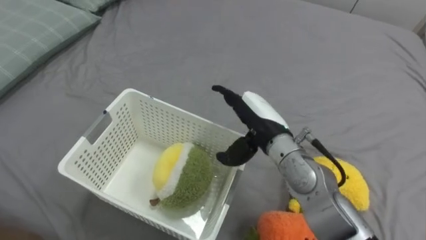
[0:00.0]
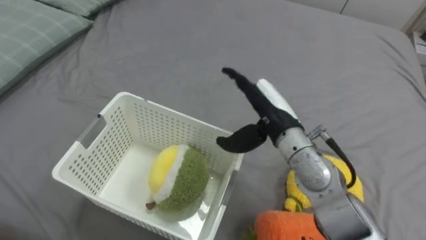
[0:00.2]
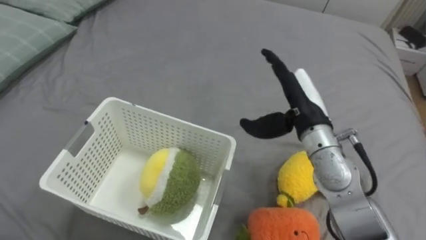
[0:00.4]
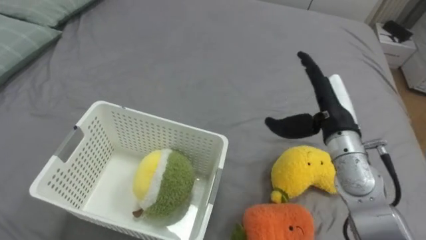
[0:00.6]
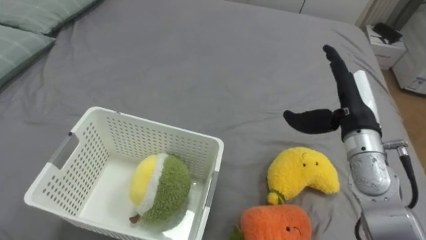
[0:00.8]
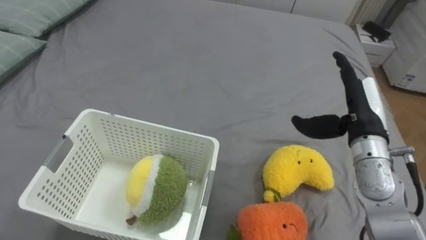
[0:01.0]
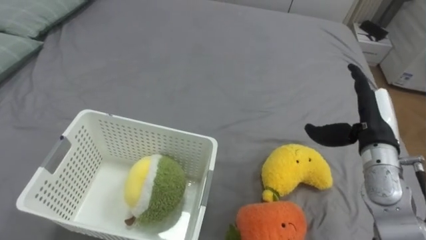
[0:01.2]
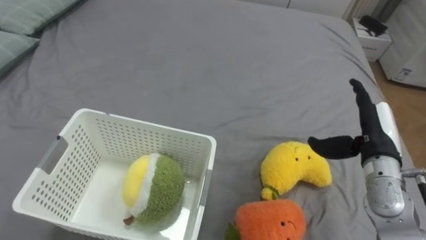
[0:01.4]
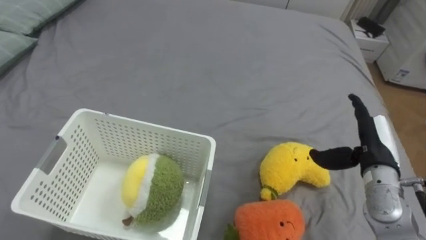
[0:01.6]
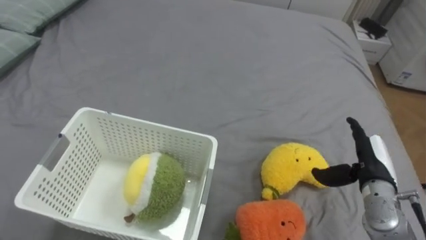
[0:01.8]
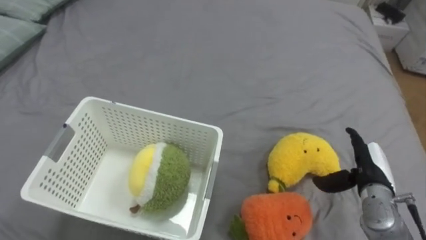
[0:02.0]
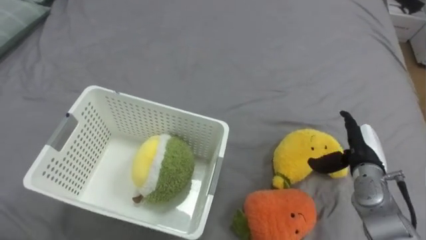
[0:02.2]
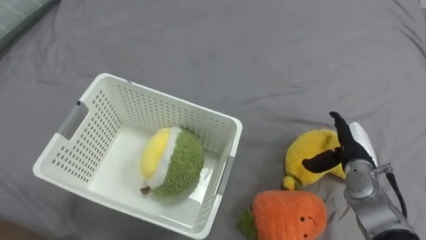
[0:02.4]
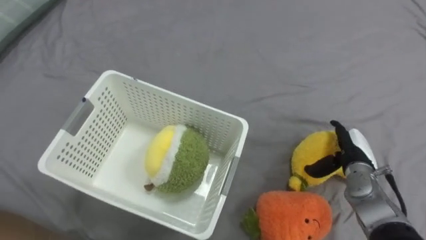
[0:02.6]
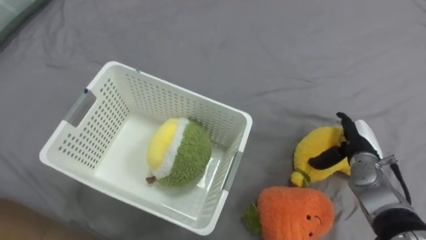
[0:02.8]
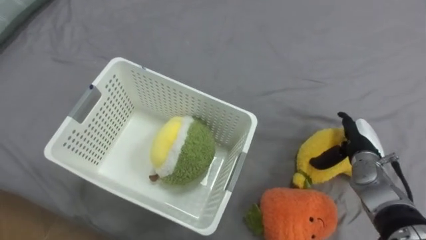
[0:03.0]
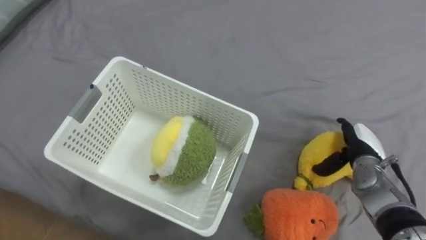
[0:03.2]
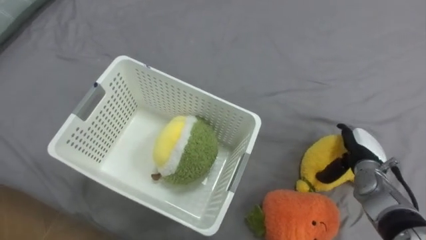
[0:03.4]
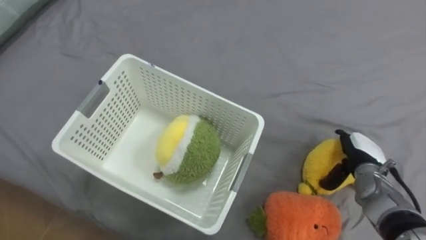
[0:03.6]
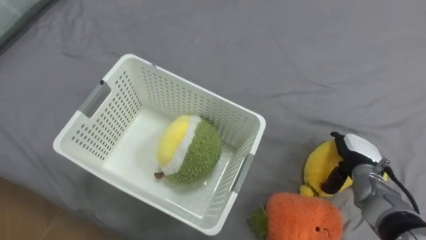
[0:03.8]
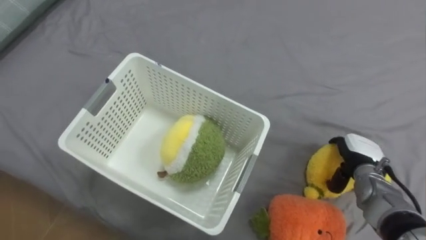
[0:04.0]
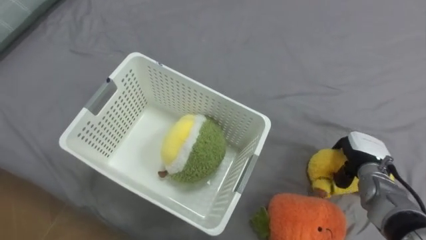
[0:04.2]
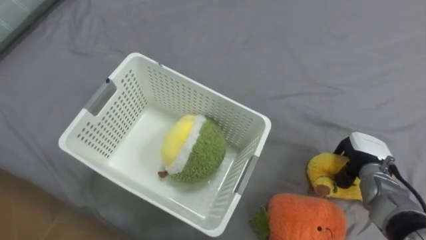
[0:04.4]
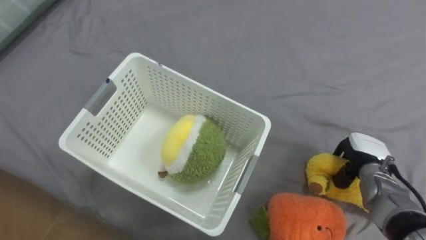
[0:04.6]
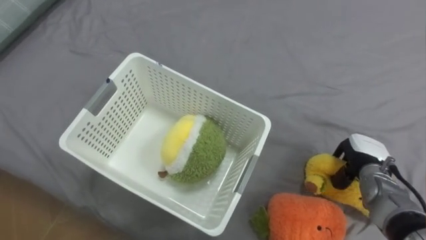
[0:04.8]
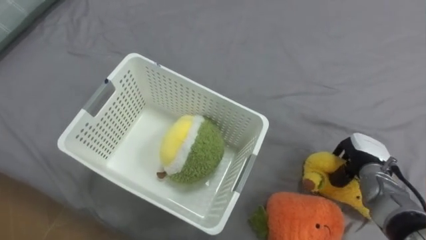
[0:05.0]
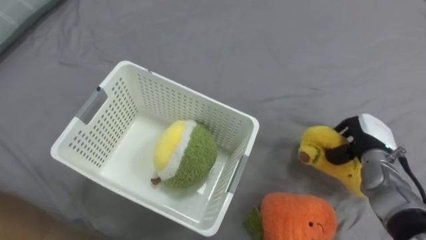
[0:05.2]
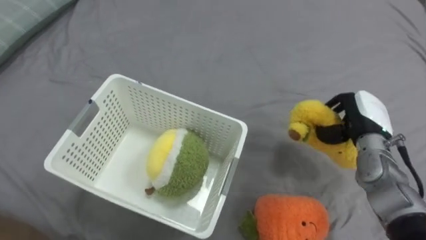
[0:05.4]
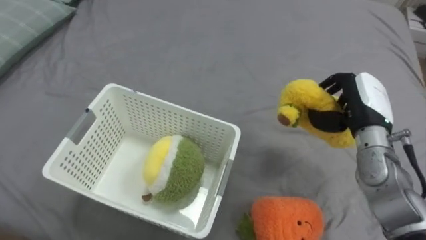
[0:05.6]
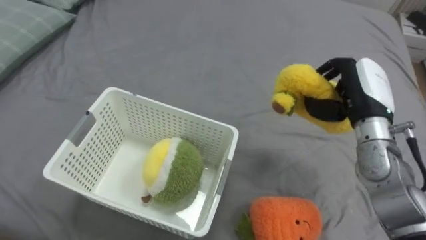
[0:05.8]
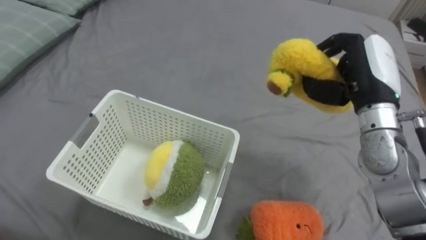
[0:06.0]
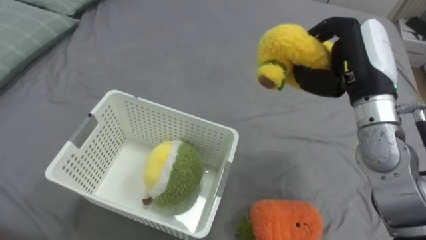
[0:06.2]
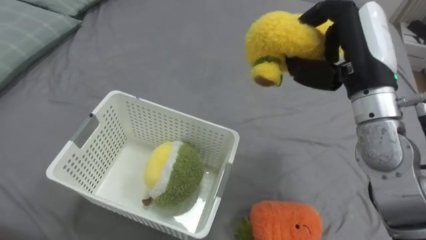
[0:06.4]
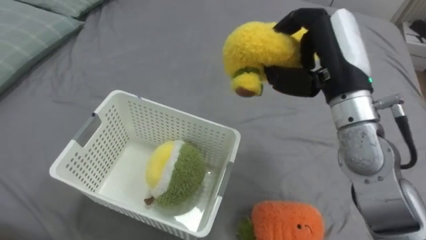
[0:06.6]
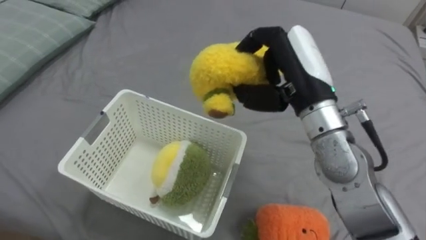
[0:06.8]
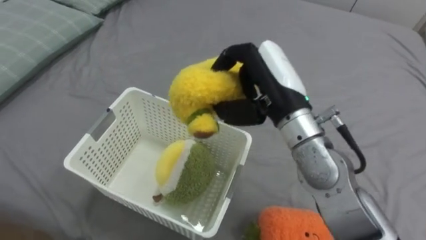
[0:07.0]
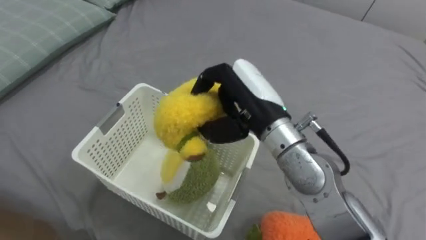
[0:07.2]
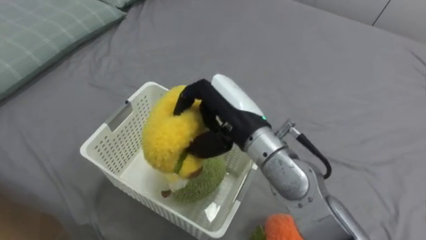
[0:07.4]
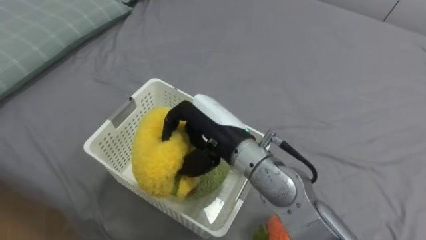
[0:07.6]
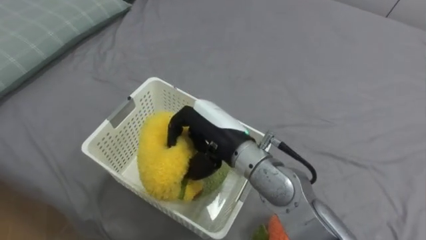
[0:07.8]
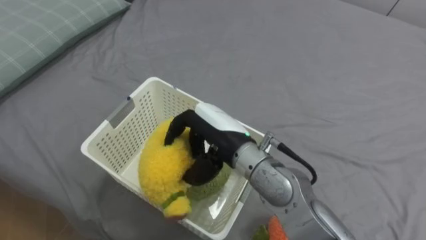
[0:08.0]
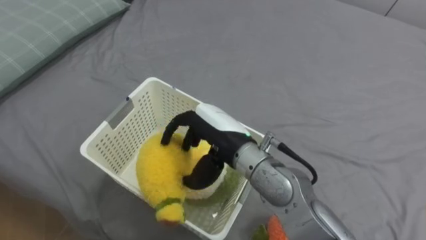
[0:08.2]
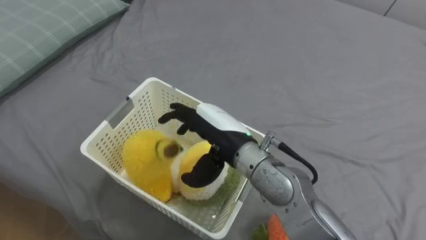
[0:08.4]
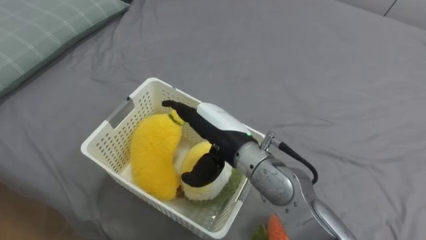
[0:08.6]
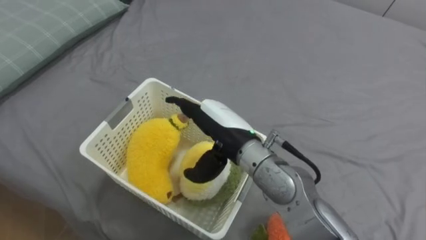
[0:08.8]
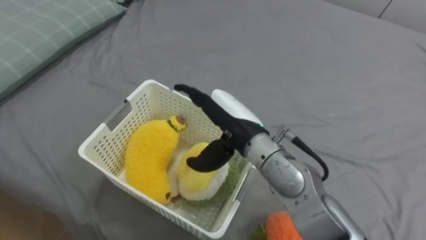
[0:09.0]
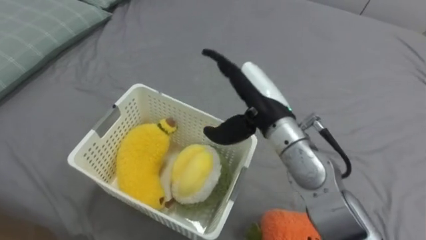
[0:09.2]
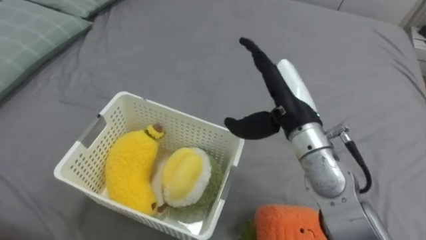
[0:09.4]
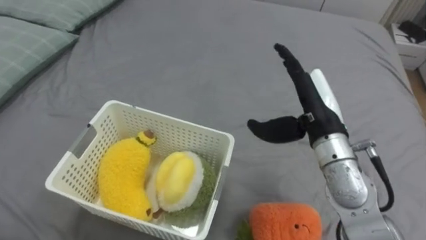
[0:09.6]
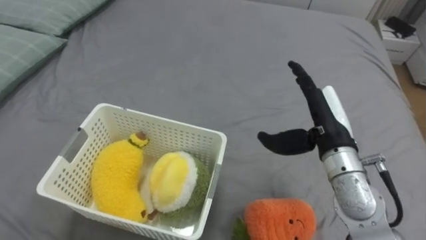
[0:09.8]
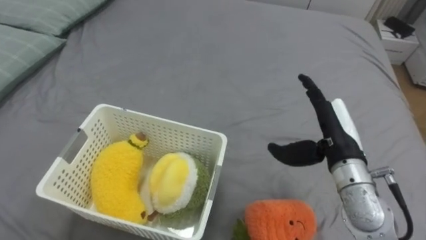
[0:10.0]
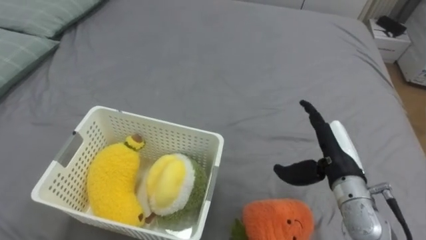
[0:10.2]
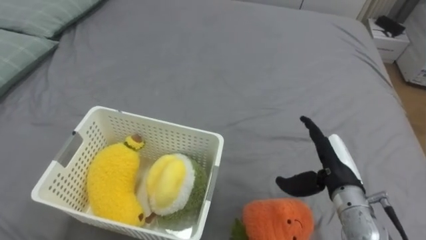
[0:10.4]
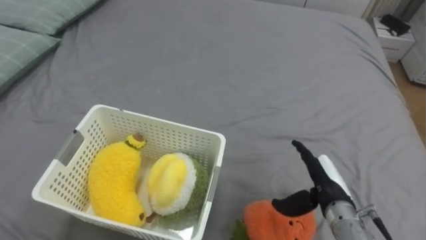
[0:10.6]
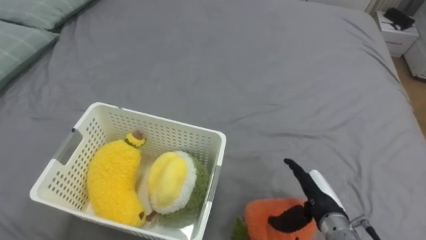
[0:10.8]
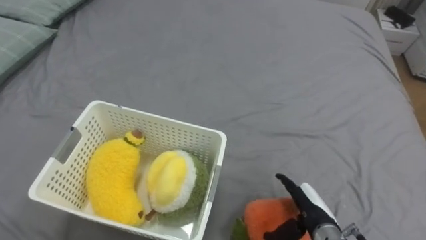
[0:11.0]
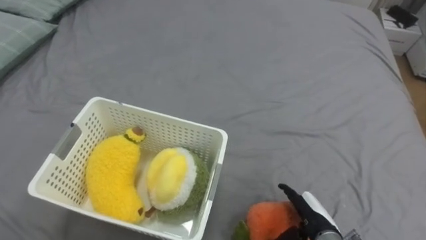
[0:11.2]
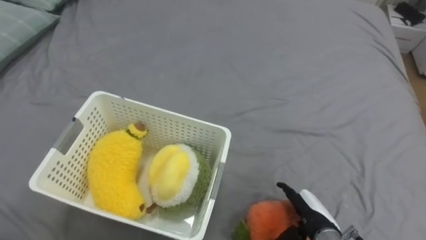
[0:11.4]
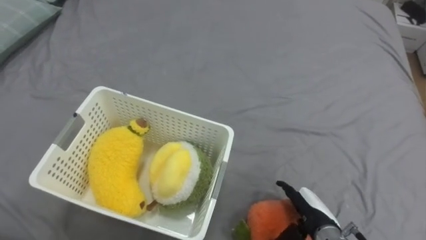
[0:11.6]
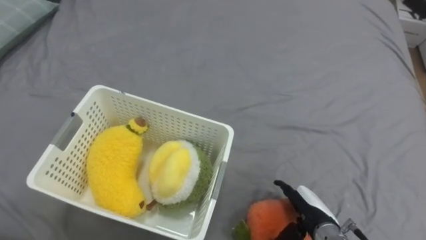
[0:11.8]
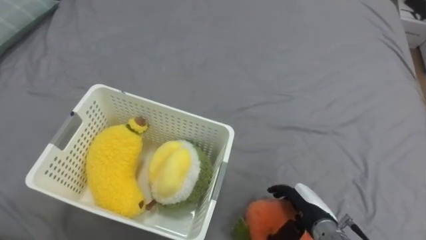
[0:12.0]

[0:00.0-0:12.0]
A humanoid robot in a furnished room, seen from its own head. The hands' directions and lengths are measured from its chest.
Task of the whole recording: Put the toys on the bed into the basket on the left.
0:00.0 to 0:01.6: The right hand is displaced to the right by some 20 cm.
0:01.6 to 0:03.0: The right hand travels downward and forward by roughly 10 cm.
0:03.0 to 0:04.4: The right hand closes its fingers.
0:04.4 to 0:06.0: The right hand goes approximately 20 cm upward.
0:06.0 to 0:07.6: The right hand moves to the left, some 25 cm.
0:07.6 to 0:09.0: The right hand opens its fingers.
0:09.0 to 0:10.4: The right hand moves to the right and downward, about 20 cm.
0:10.4 to 0:12.0: The right hand is displaced downward by approximately 10 cm.

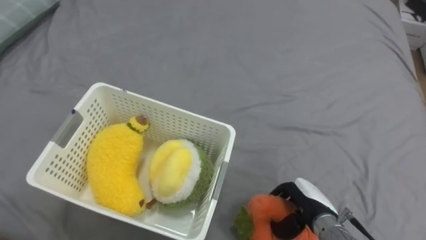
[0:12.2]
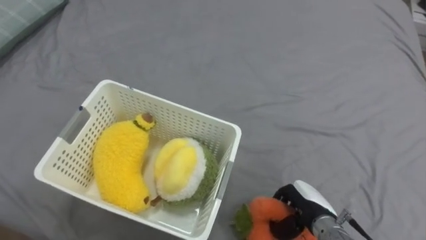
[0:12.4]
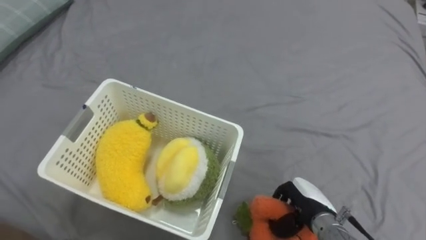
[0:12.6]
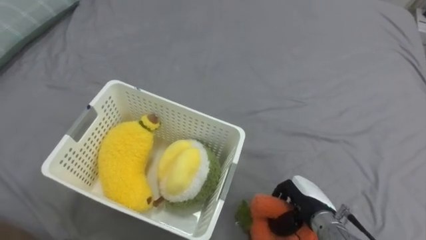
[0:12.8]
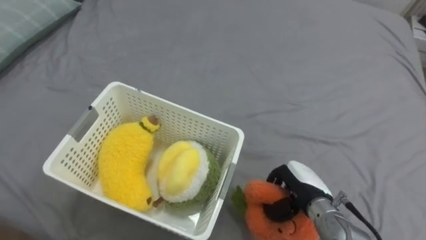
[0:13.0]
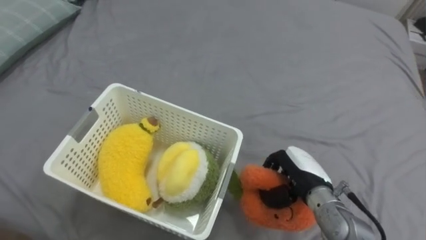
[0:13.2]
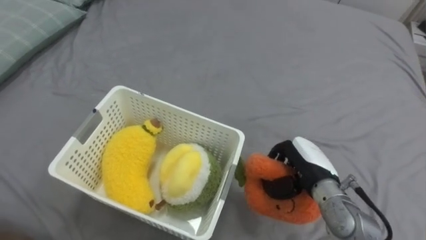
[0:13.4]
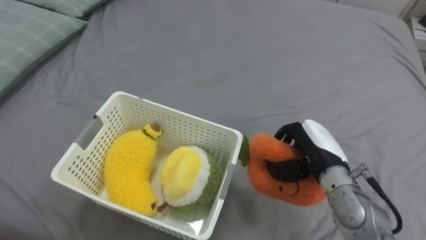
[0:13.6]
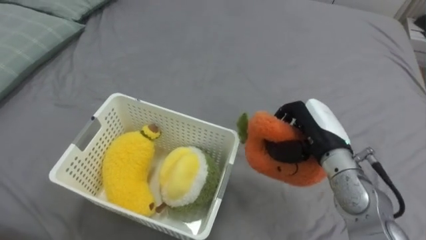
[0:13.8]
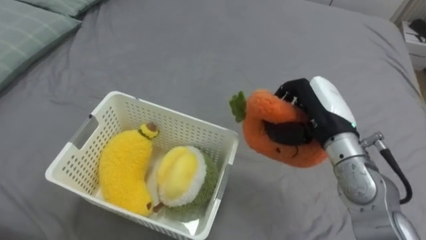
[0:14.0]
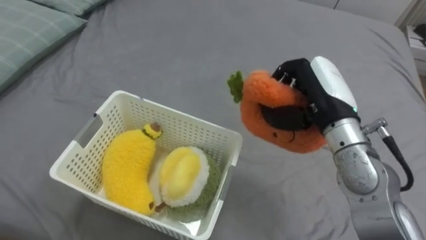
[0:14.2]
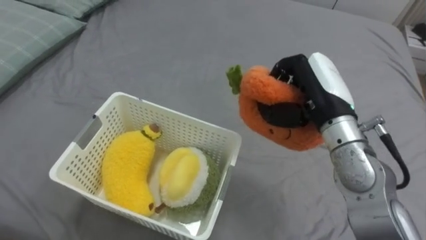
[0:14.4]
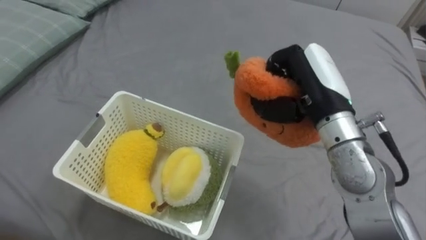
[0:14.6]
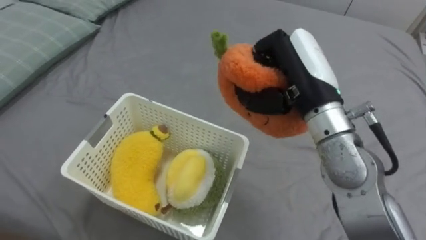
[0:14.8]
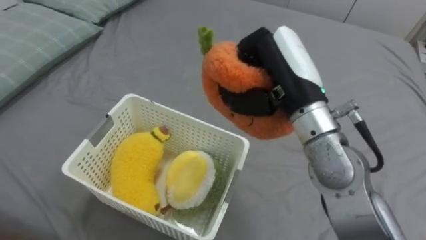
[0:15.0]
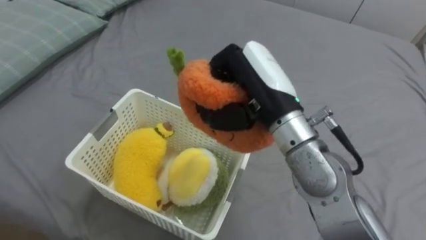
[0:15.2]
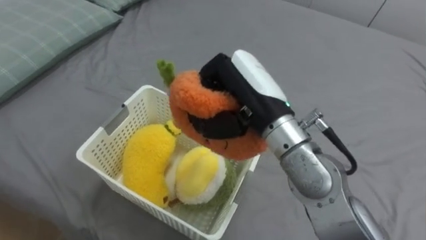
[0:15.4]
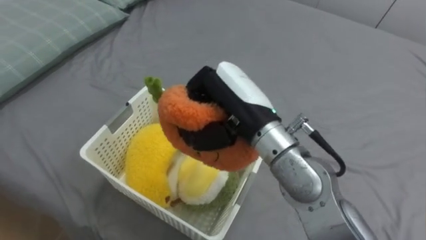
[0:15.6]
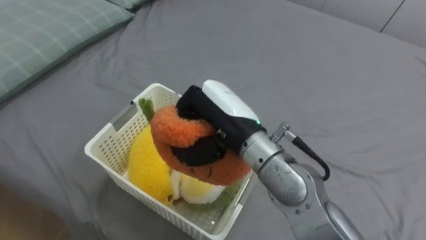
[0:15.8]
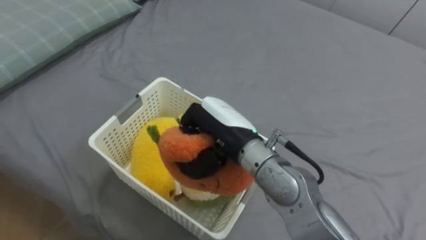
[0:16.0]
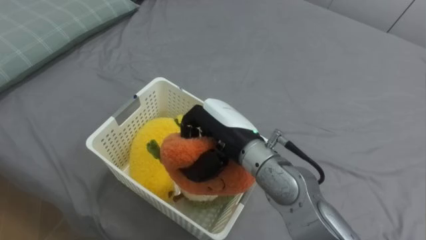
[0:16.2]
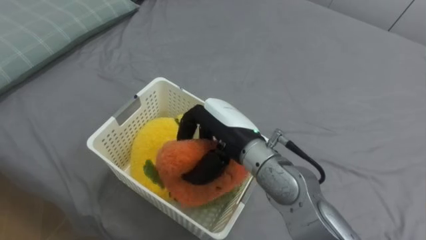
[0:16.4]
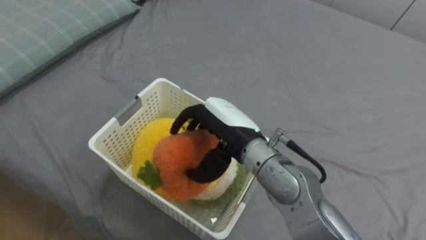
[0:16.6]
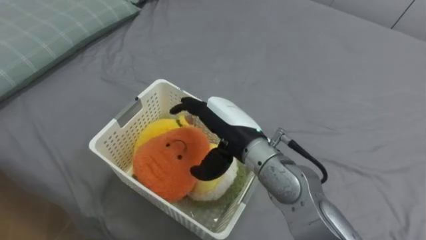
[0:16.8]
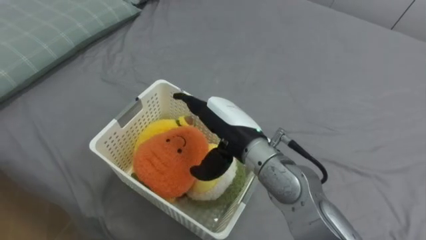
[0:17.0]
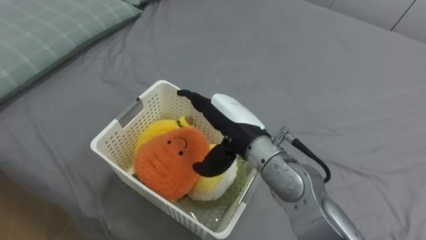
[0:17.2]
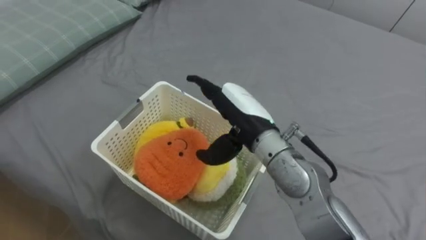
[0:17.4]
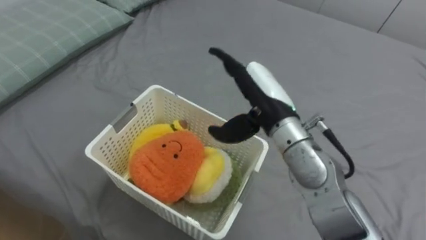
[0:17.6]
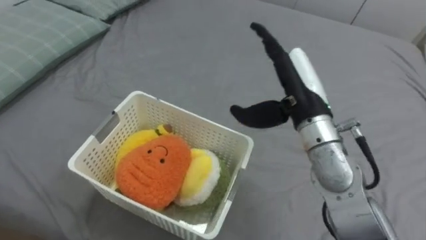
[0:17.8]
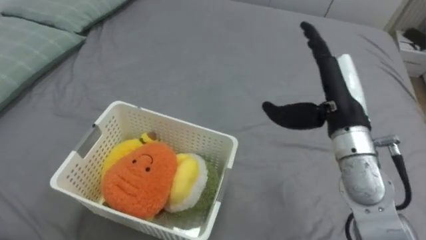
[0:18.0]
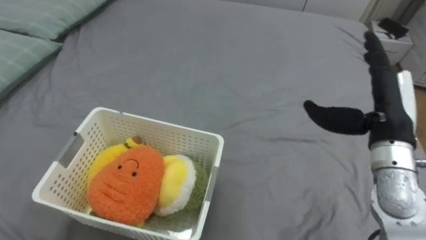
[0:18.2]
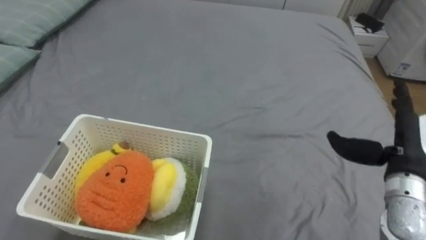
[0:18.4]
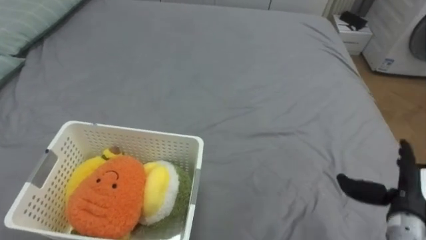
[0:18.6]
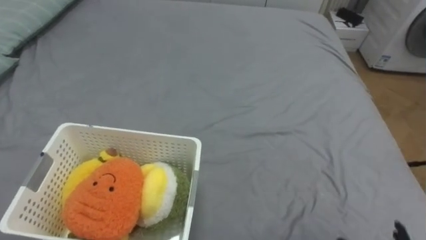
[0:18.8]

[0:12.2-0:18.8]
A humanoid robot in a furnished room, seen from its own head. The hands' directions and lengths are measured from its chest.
Task of the whole recording: Put the toys on the bed into the basket on the left.
0:12.2 to 0:13.8: The right hand travels upward and forward by some 15 cm, and closes its fingers.
0:13.8 to 0:15.4: The right hand is displaced to the left and upward by about 15 cm.
0:15.4 to 0:17.2: The right hand travels downward by approximately 10 cm, and opens its fingers.
